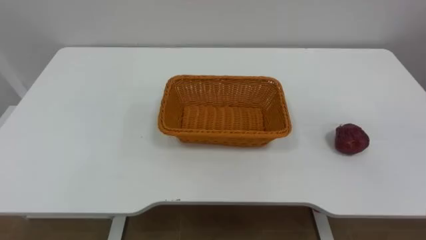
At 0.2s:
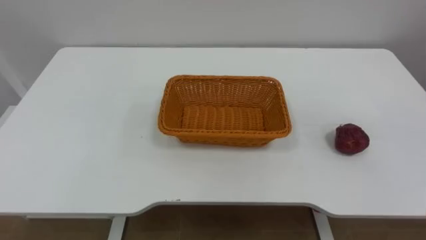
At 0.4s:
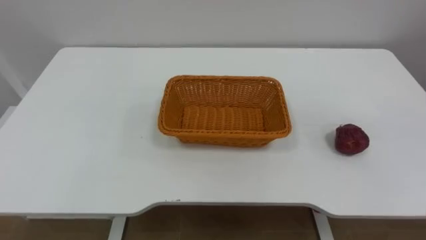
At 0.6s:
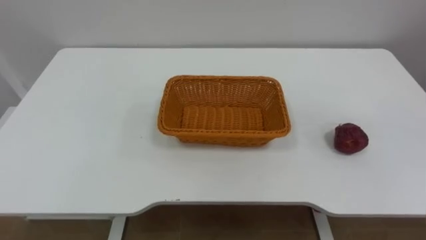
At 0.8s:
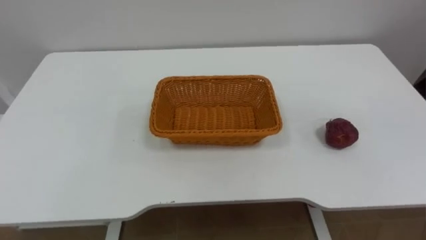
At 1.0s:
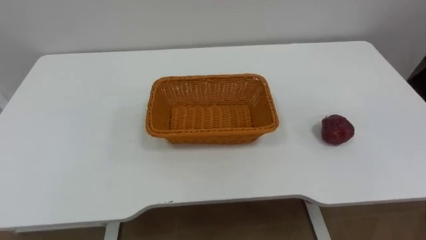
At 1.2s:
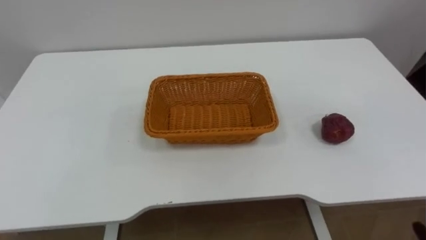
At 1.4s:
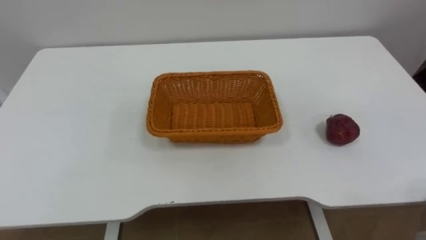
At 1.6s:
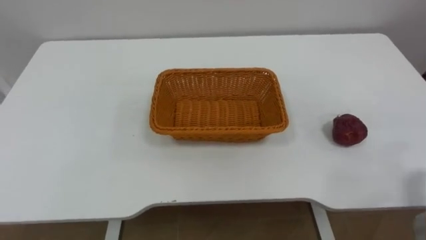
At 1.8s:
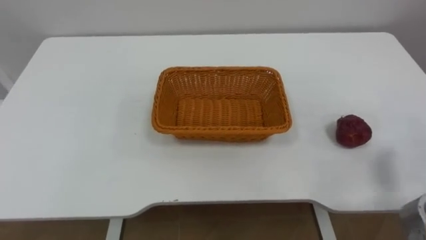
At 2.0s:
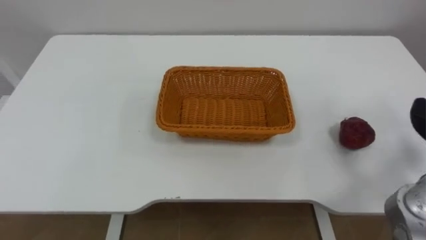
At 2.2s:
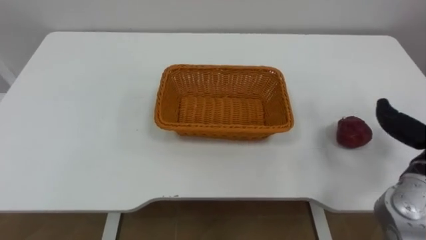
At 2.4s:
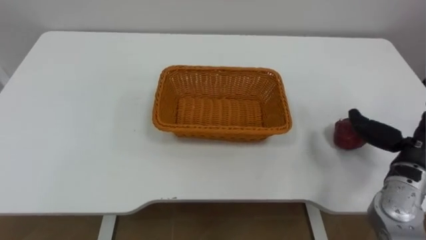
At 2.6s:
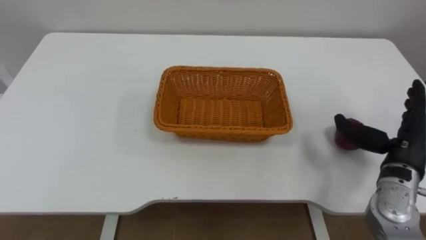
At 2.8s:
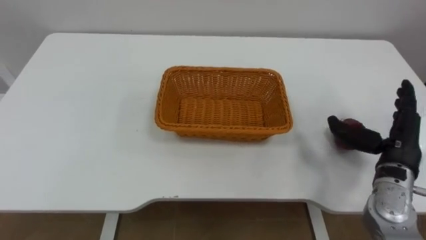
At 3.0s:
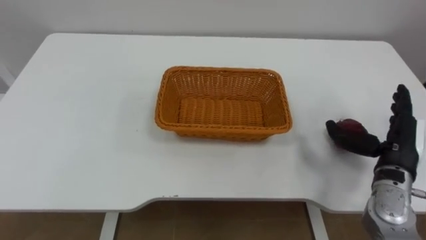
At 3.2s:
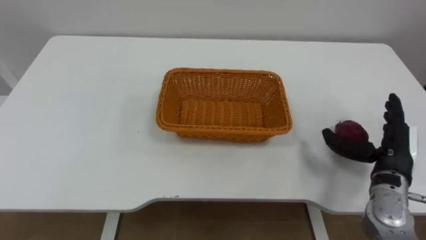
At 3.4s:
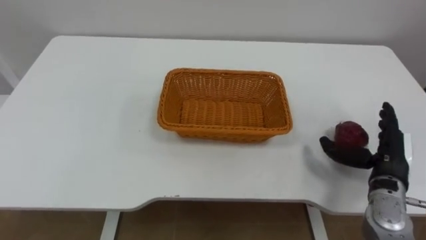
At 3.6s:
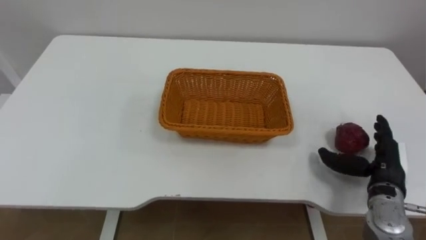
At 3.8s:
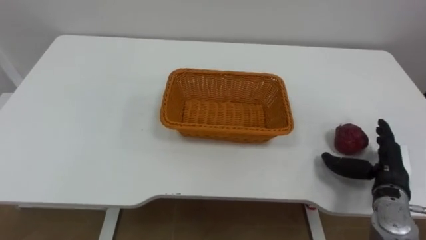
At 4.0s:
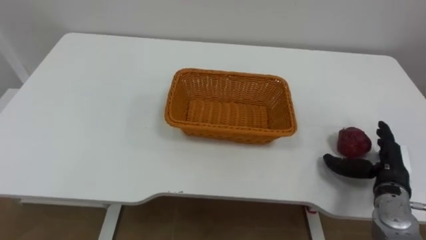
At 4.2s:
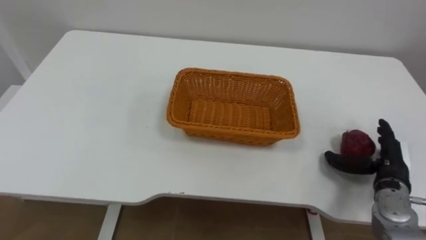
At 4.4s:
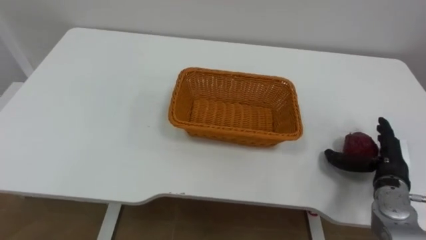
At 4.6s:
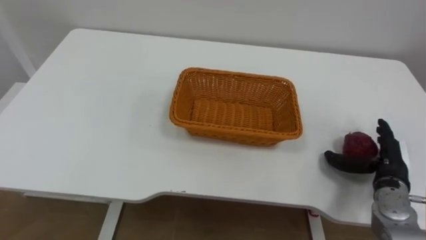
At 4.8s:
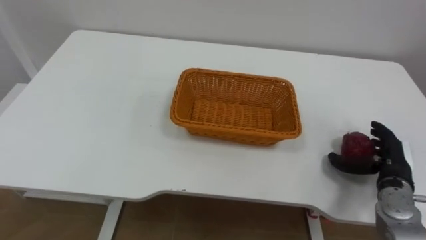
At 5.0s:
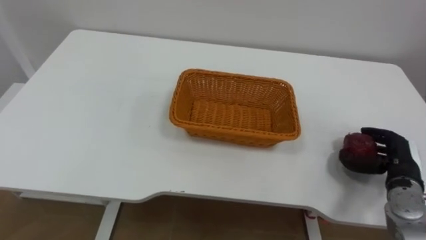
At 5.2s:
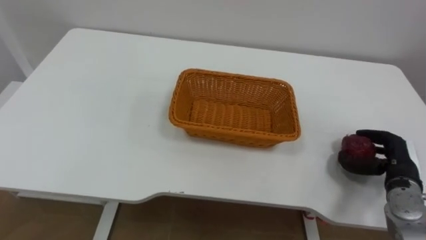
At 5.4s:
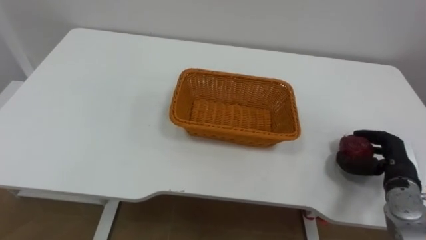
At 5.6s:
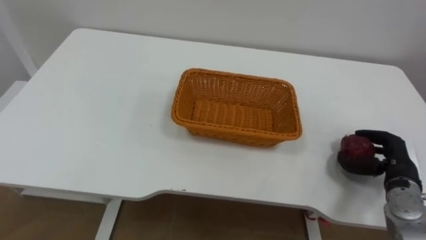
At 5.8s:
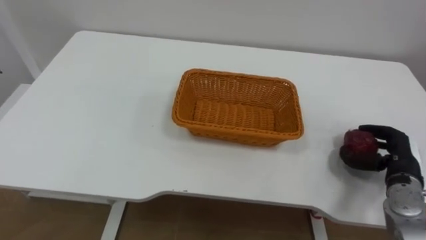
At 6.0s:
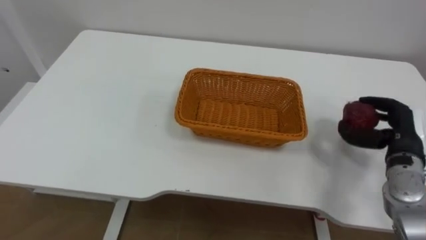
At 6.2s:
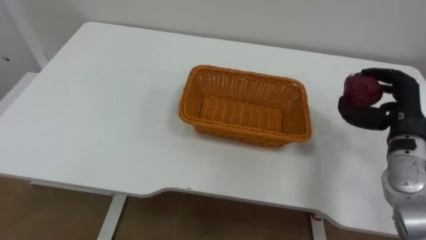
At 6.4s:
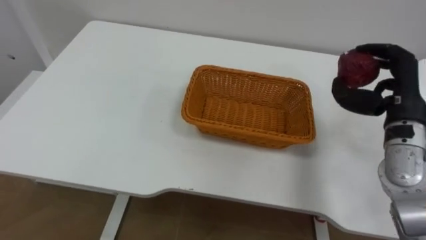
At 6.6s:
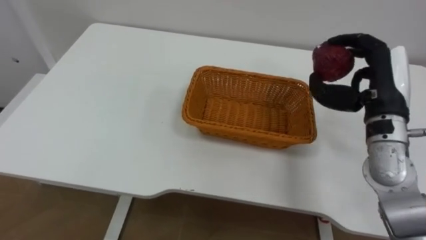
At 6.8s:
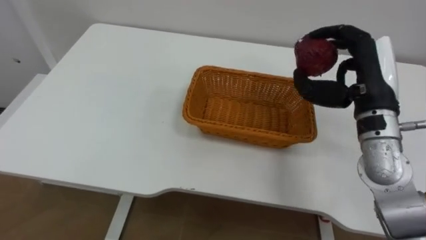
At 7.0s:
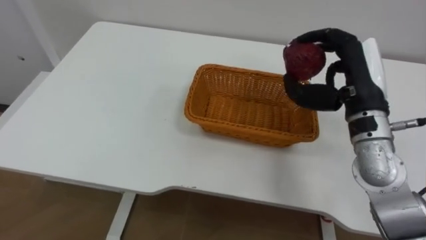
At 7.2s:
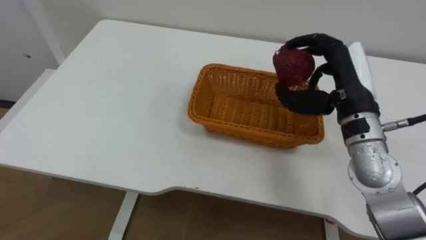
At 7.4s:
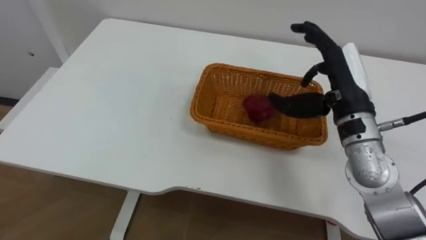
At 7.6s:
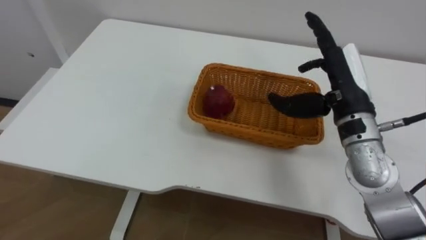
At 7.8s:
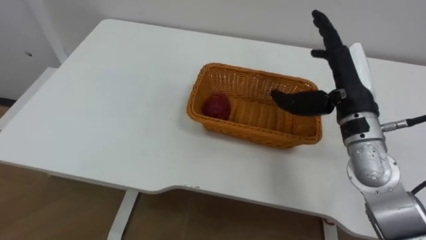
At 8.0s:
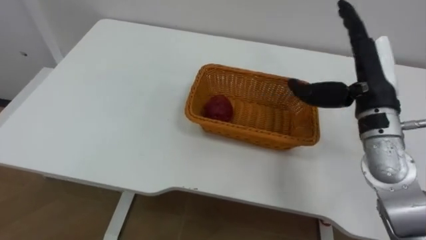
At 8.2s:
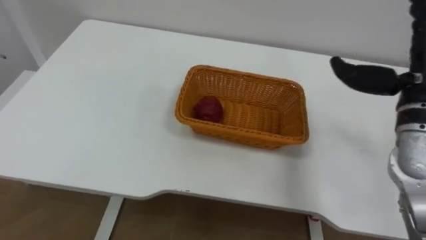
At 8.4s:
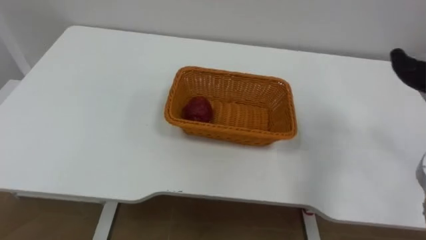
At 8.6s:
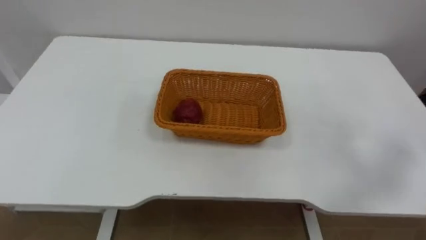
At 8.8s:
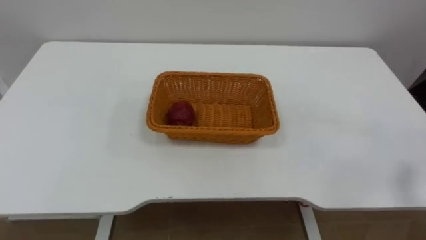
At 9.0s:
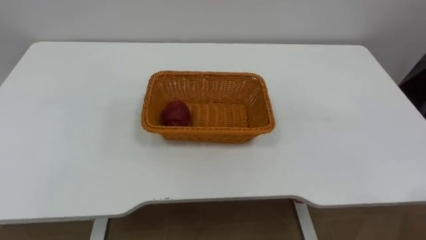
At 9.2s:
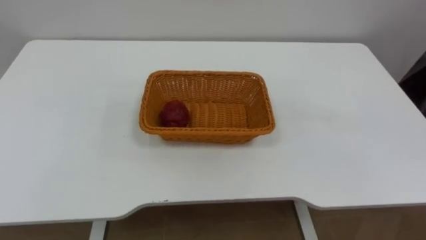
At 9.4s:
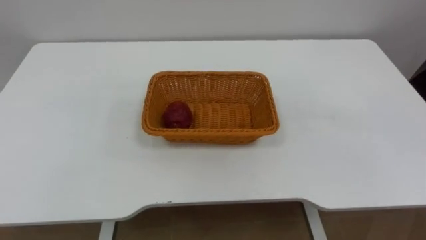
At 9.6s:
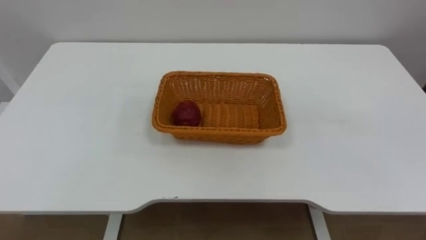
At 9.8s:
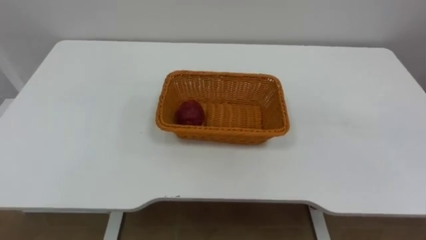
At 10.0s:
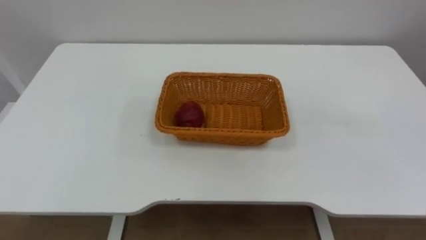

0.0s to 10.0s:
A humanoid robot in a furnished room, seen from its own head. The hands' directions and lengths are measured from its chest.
Task of the whole recording: Pick the apple and place it in the box.
2.8s to 4.2s: The right hand travels downward by roughly 10 cm.
4.2s to 5.8s: The right hand closes its fingers.
5.8s to 7.2s: The right hand goes roughly 20 cm upward and to the left.

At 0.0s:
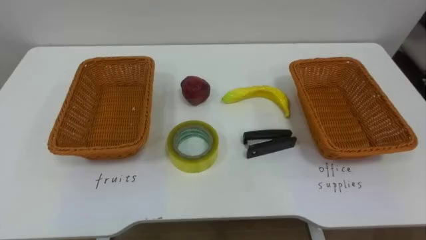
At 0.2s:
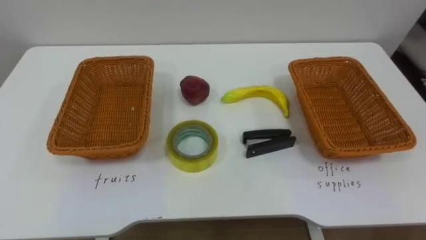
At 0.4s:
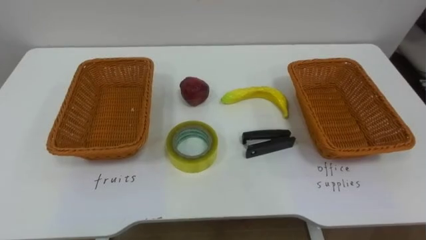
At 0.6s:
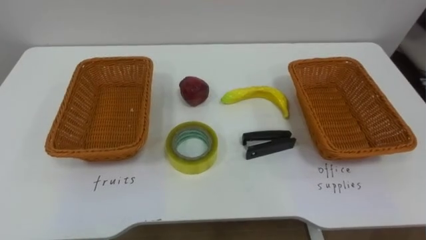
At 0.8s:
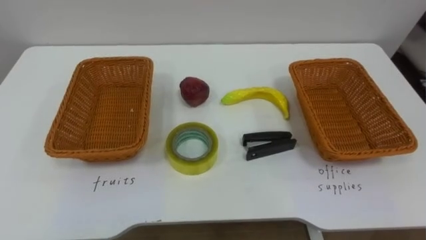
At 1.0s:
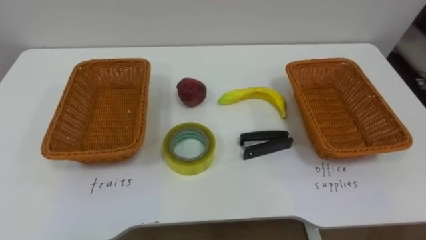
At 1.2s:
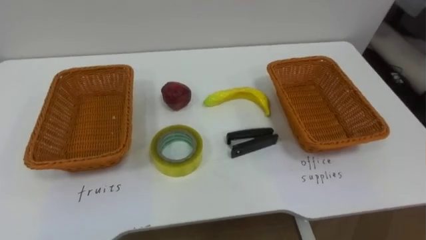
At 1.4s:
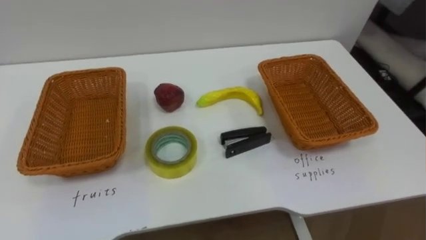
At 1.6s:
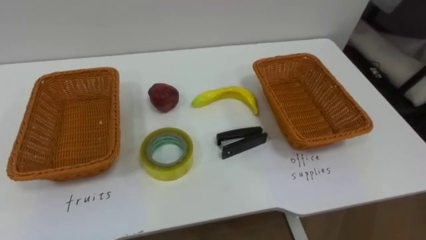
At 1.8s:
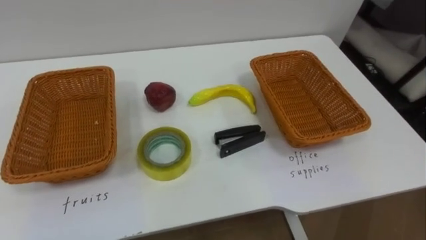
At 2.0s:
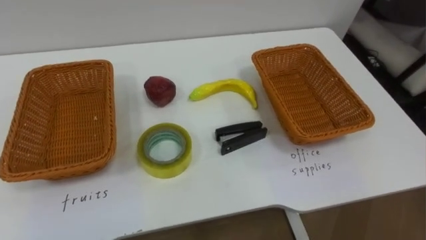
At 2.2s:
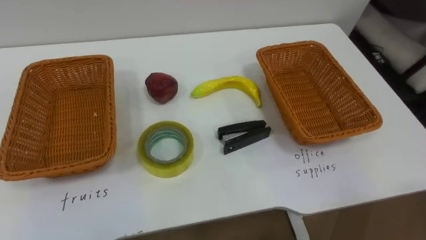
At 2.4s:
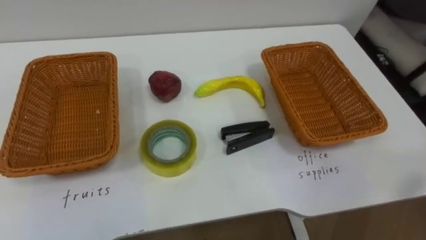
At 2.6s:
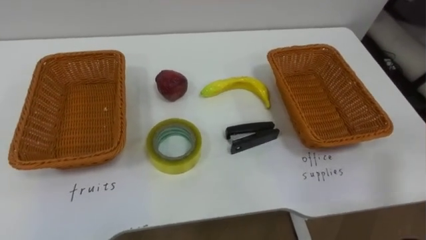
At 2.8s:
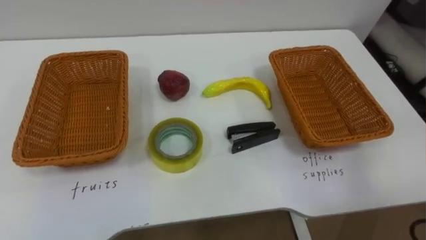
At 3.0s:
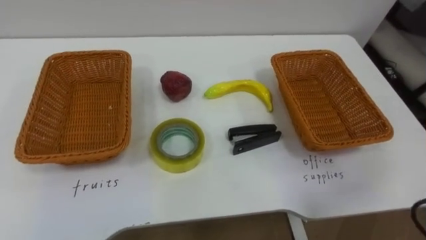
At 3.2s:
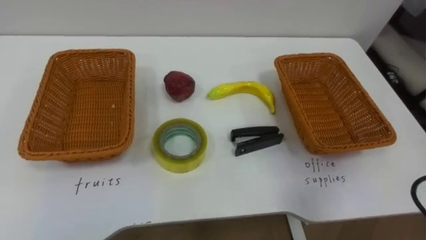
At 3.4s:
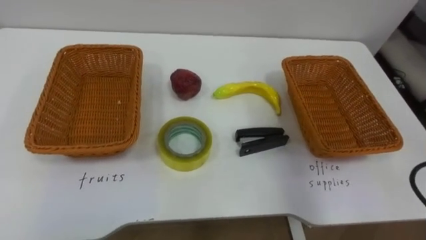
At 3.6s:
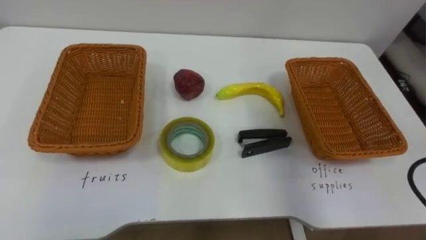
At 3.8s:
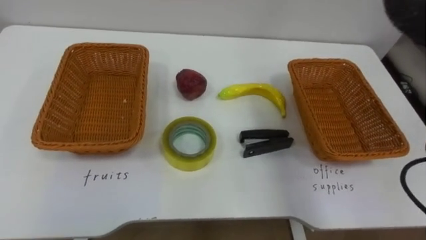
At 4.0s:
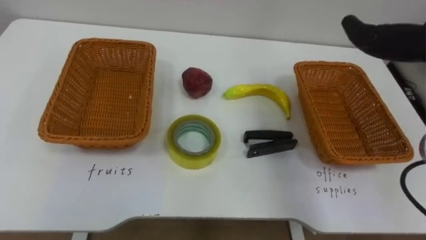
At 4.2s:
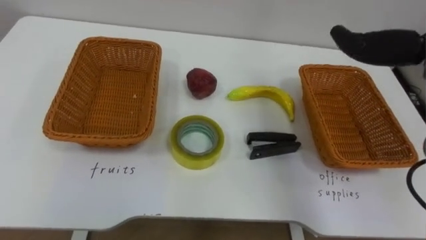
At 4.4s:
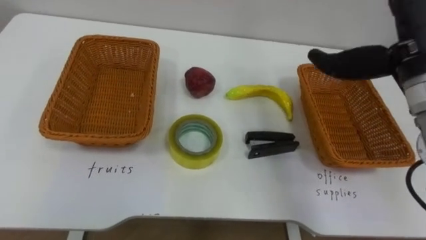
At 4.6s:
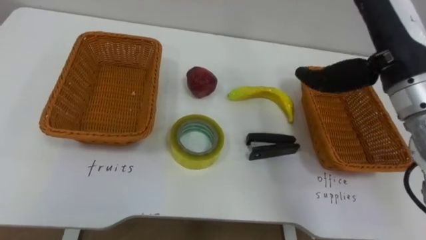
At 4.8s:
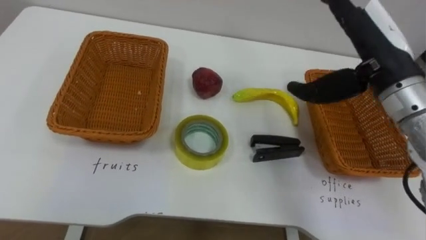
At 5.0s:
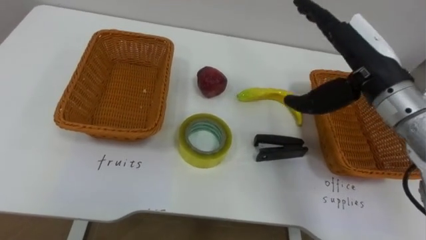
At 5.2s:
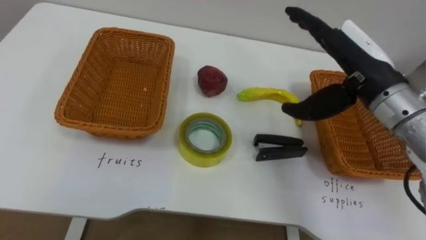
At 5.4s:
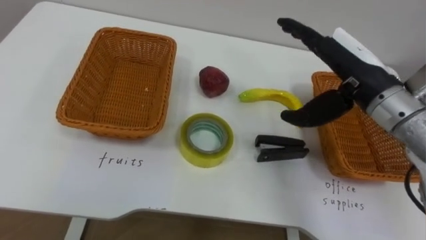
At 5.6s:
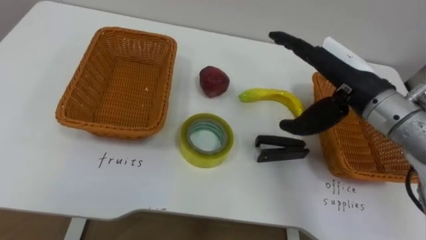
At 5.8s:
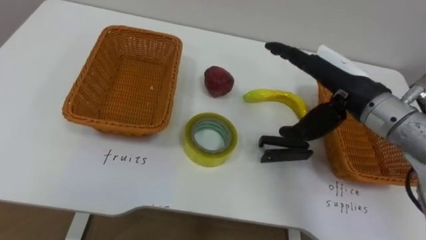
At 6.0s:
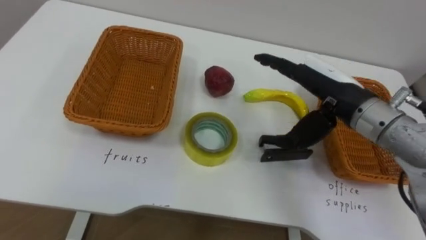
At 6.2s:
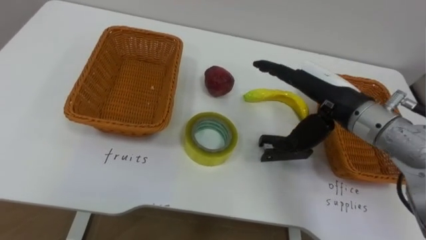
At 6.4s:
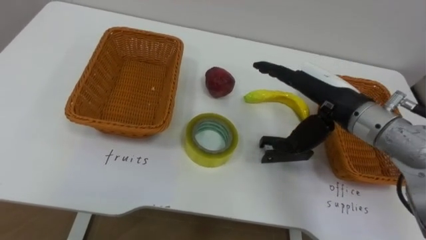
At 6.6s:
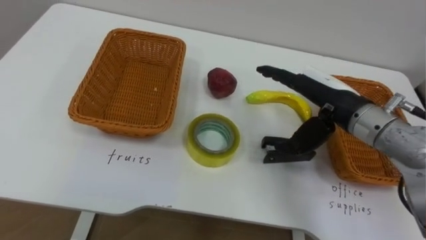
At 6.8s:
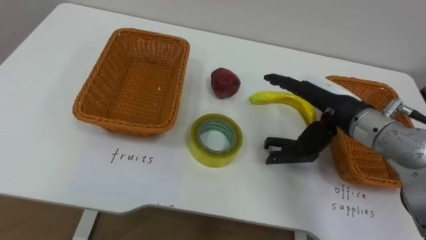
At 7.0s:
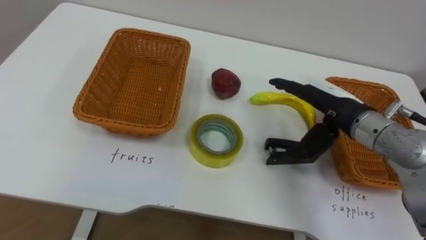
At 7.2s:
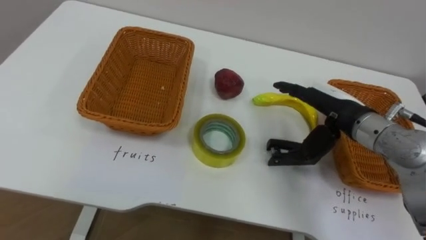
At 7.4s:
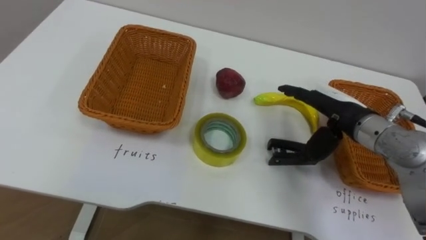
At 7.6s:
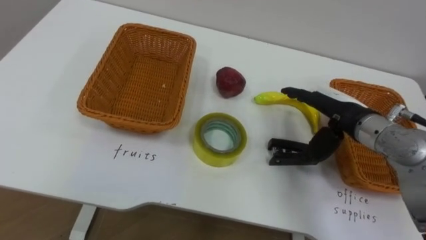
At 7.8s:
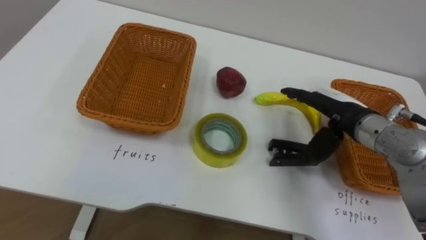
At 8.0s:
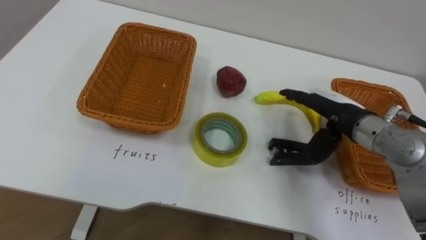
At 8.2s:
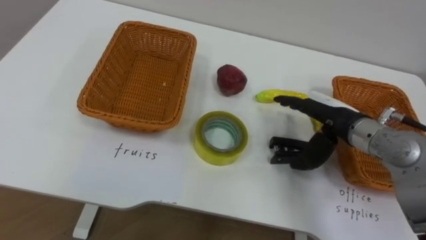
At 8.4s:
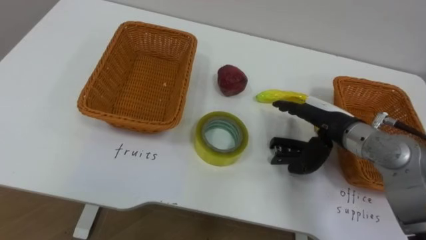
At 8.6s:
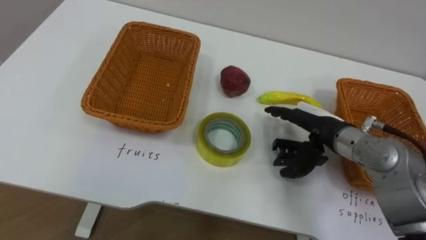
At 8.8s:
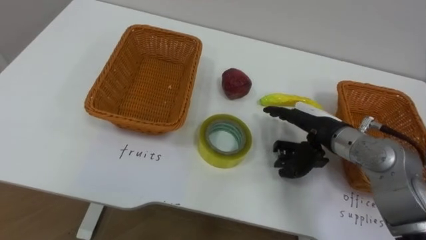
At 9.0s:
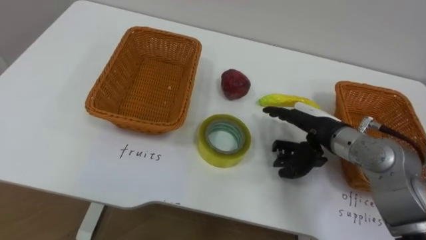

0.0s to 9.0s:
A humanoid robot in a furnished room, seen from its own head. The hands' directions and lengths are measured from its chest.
Task of the whole recording: Separate the items on the table and place them into the two baskets.
4.4s to 6.0s: The right hand goes roughly 10 cm downward and to the left.
6.0s to 7.6s: The right hand shifts roughly 5 cm downward.
